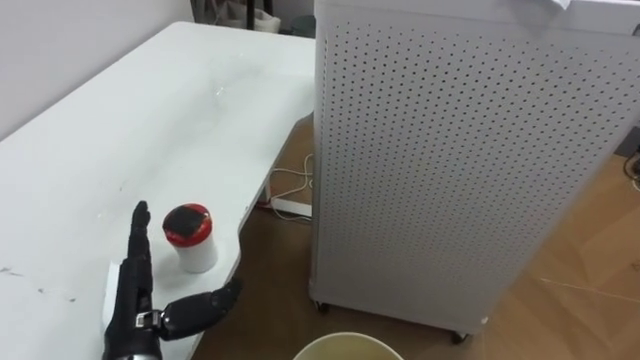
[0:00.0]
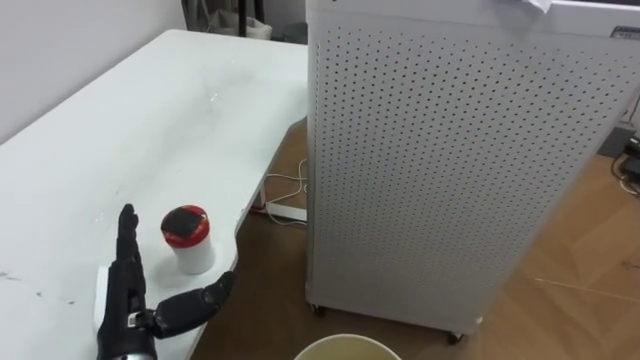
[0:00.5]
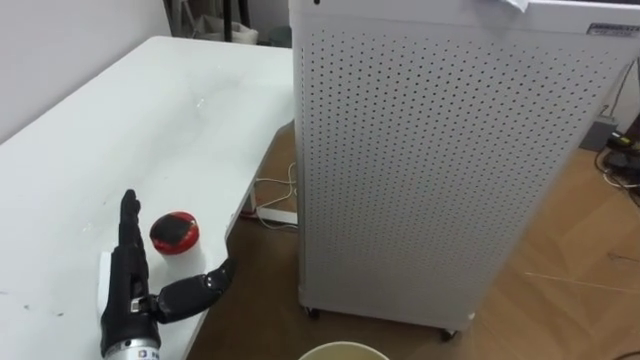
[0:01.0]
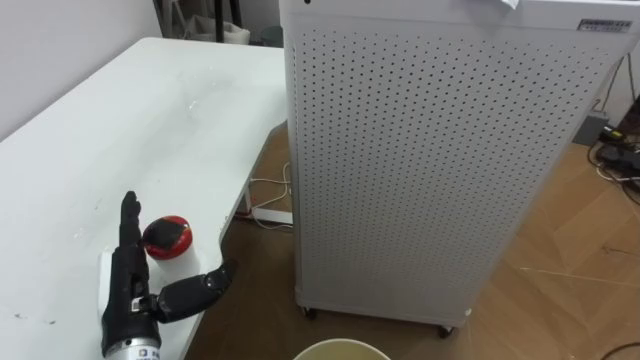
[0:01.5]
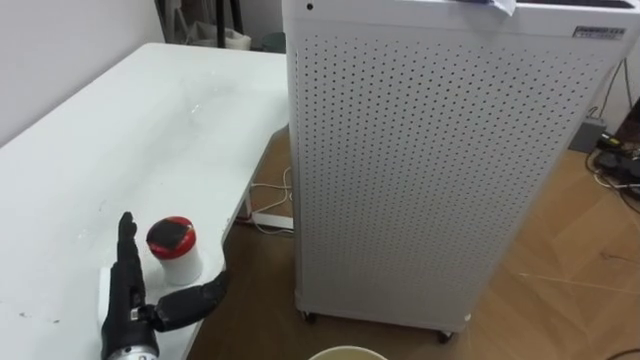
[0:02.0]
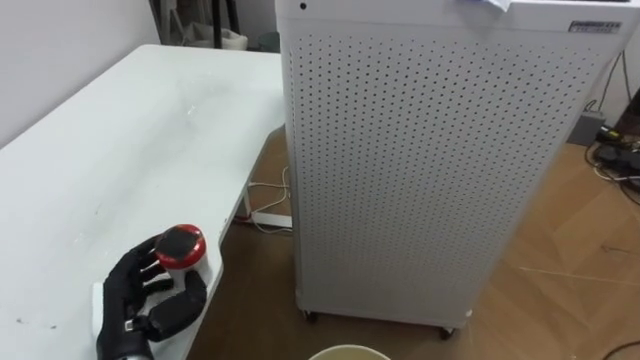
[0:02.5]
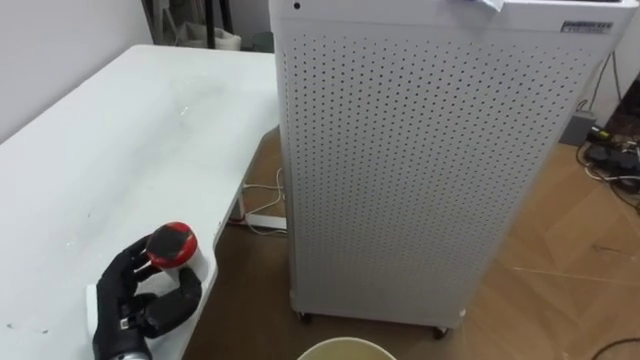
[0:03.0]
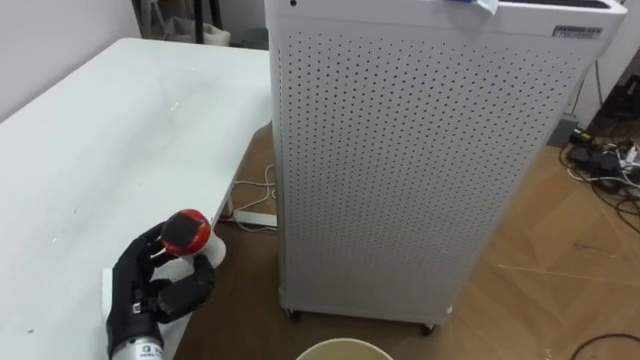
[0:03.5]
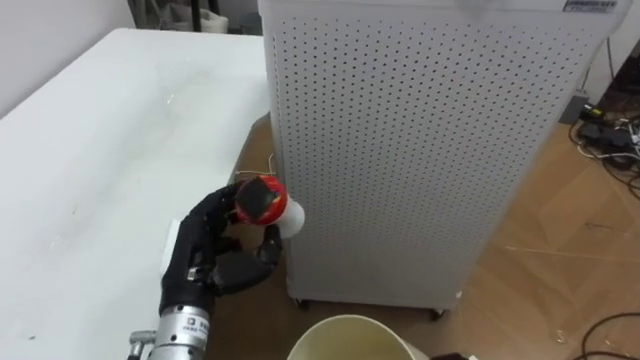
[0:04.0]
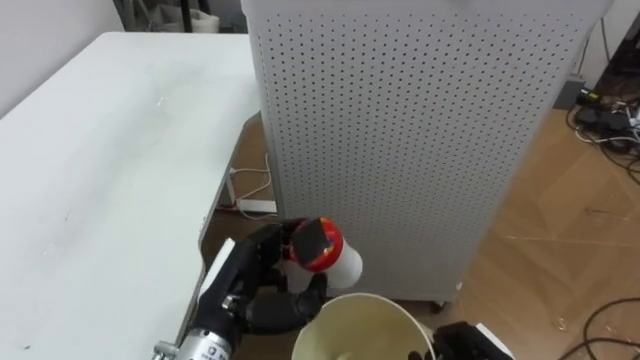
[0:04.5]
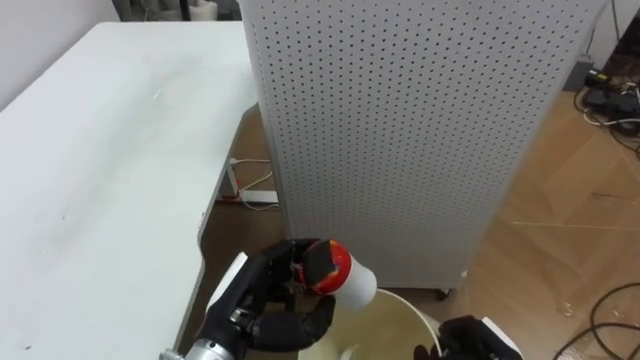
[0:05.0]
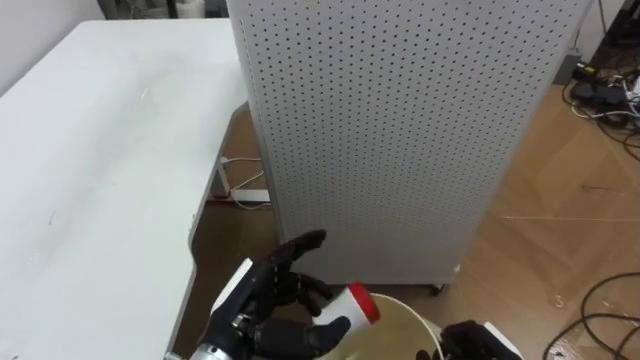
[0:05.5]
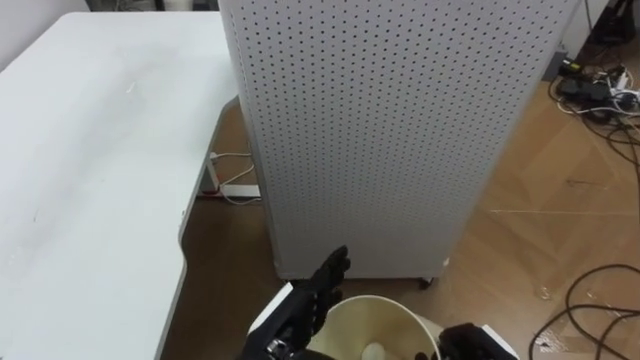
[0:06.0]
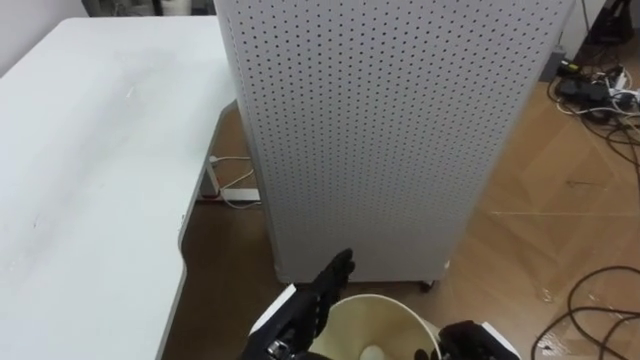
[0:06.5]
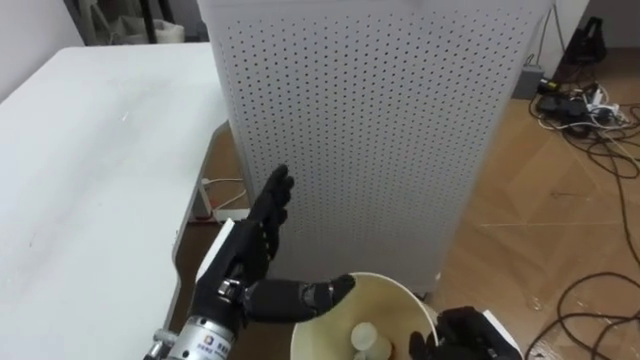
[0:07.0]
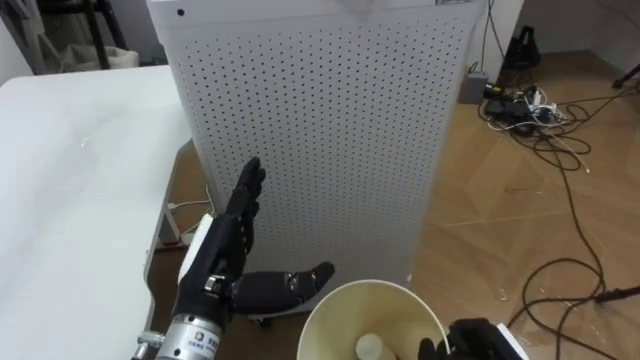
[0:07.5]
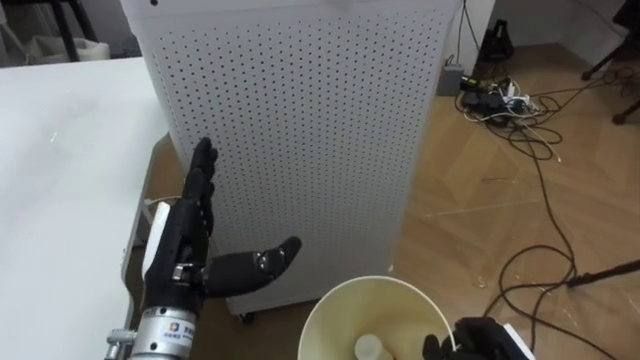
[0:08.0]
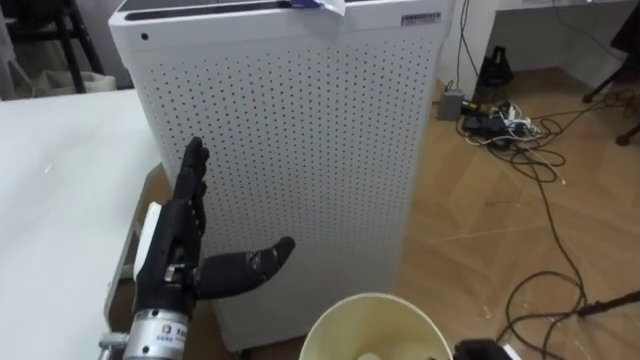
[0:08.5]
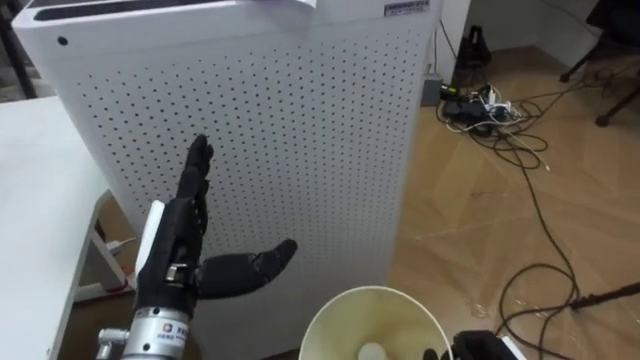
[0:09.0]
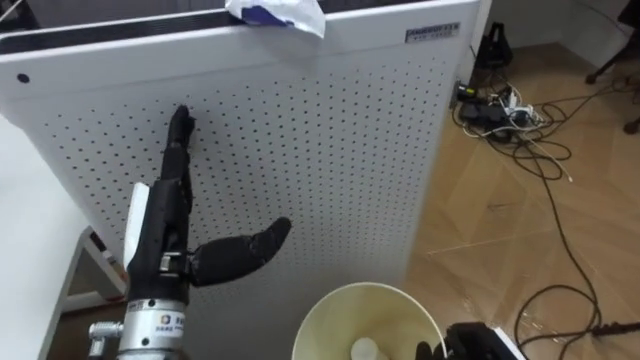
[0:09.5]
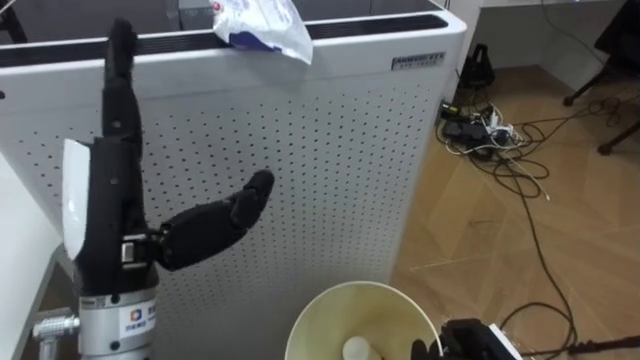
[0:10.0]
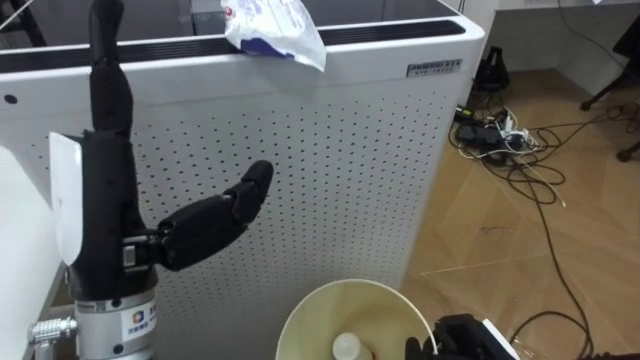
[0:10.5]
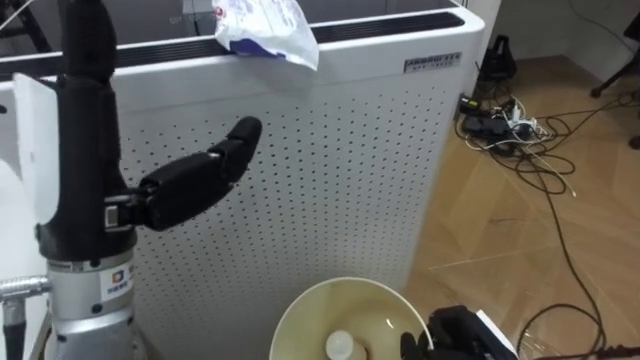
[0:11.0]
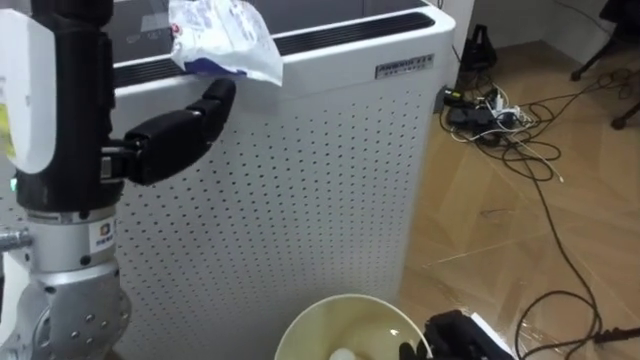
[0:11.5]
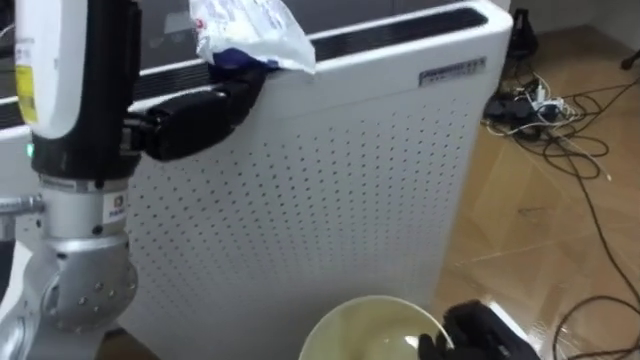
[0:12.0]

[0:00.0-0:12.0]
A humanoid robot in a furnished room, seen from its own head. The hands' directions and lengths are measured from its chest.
Task of the whole recording: Pick up the light blue package, the candy box, and the dark blue package separately, and put them into the trash can held in your right hand.
0:02.0 to 0:04.0: The left hand travels to the right by some 5 cm, and closes.
0:04.0 to 0:06.0: The left hand is displaced to the right and backward by some 10 cm, and opens up.
0:06.0 to 0:08.0: The robot turns to its right by some 15 degrees. The left hand goes approximately 15 cm to the left and upward.
0:08.0 to 0:10.0: The left hand moves upward, some 10 cm.
0:10.0 to 0:12.0: The left hand moves upward, approximately 10 cm.

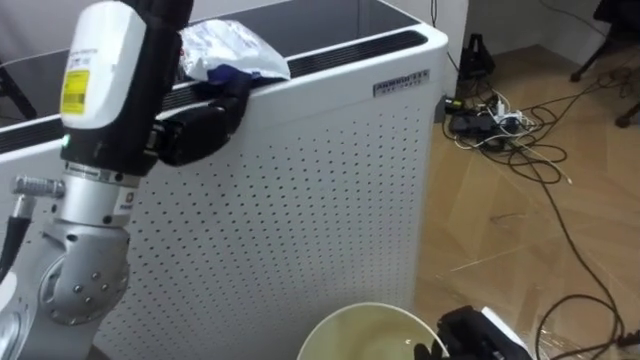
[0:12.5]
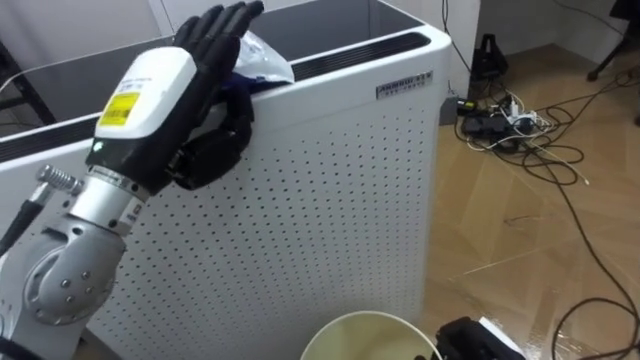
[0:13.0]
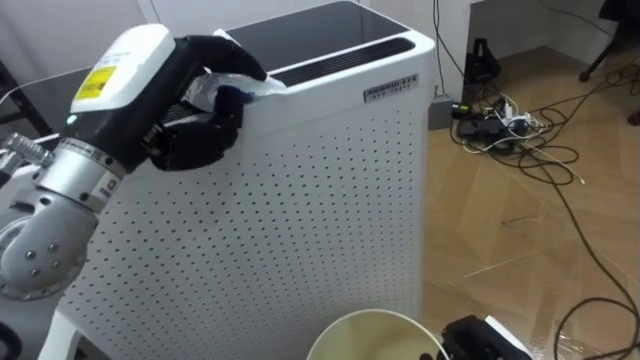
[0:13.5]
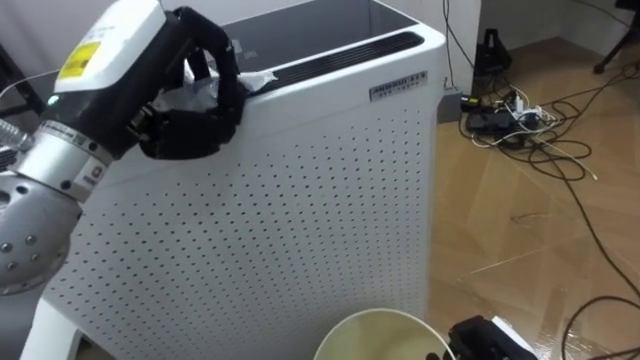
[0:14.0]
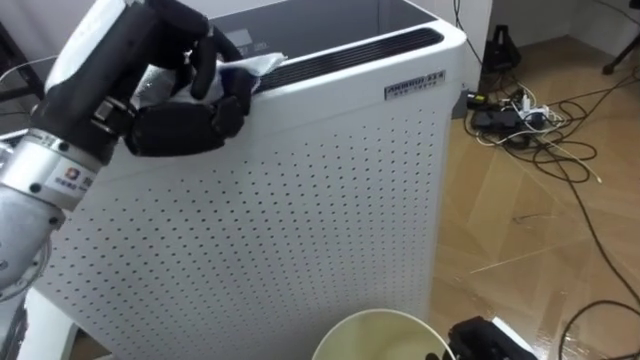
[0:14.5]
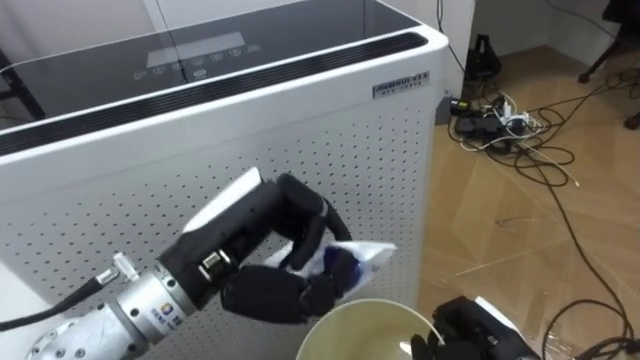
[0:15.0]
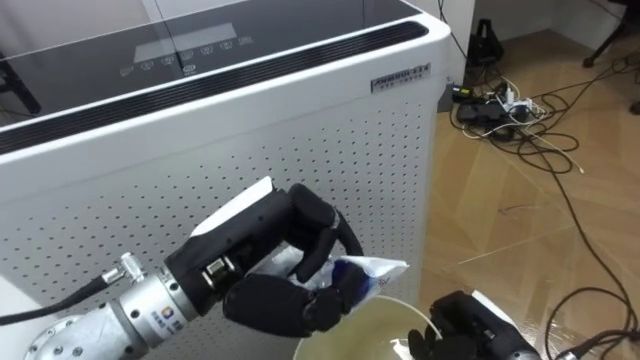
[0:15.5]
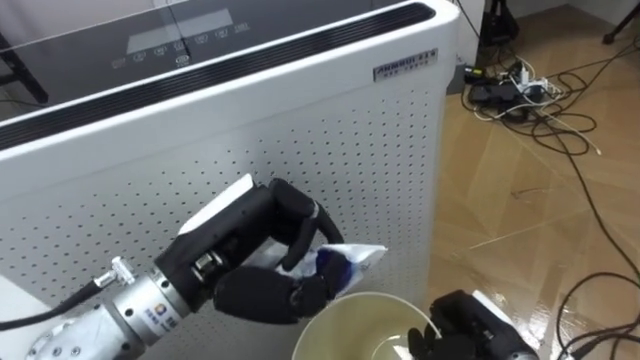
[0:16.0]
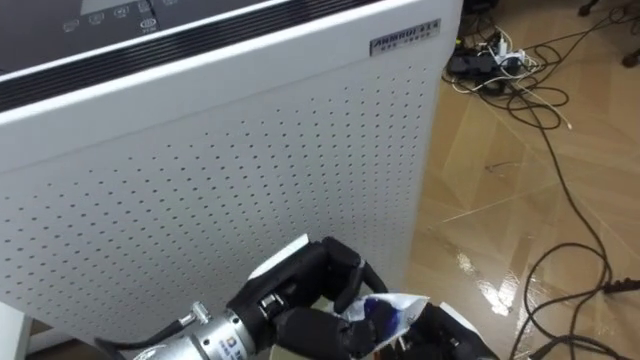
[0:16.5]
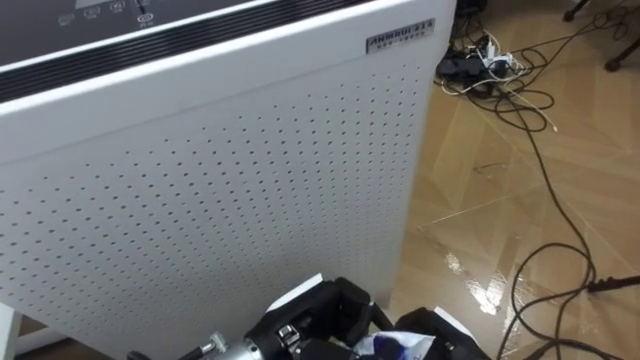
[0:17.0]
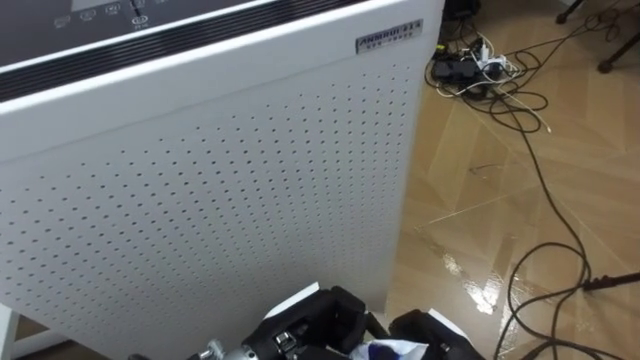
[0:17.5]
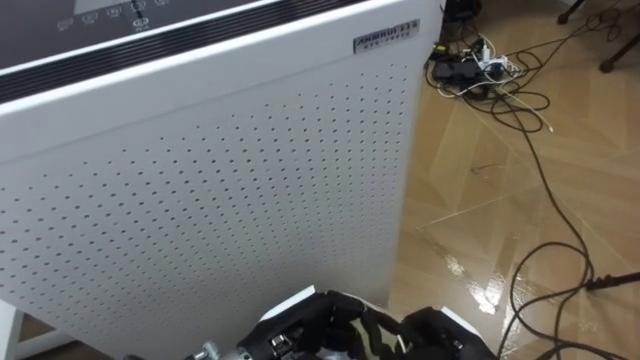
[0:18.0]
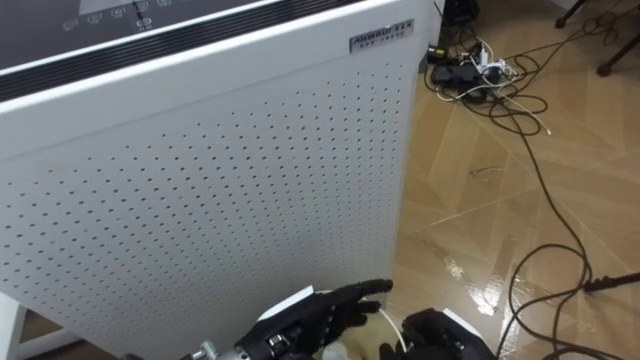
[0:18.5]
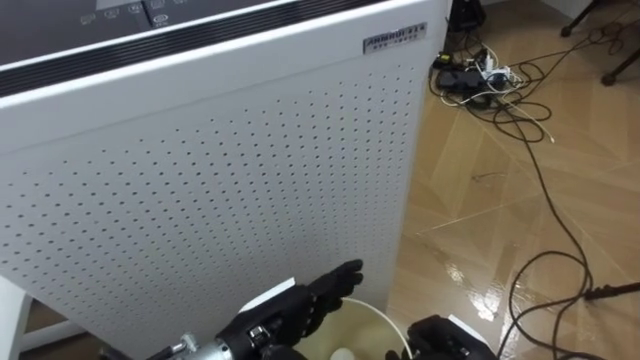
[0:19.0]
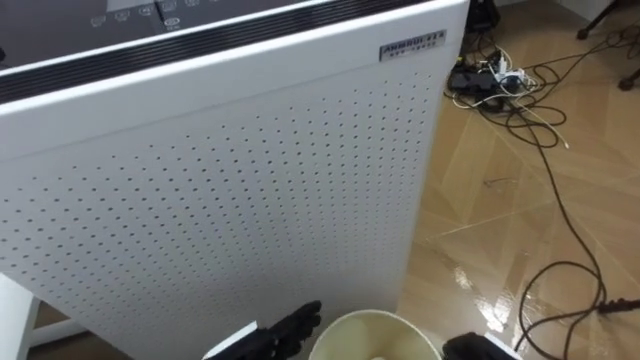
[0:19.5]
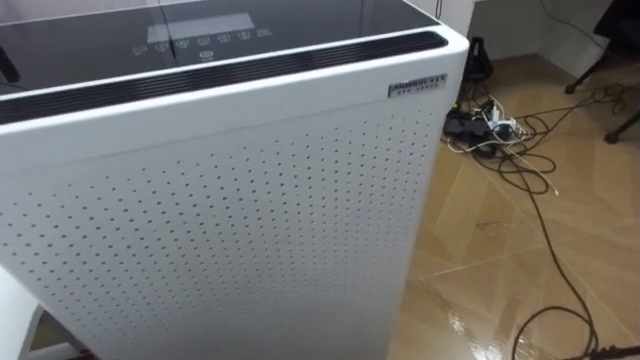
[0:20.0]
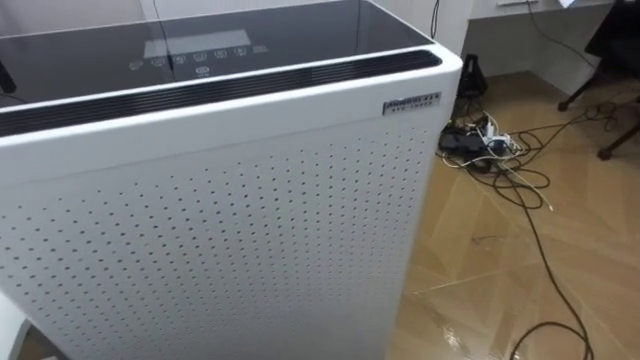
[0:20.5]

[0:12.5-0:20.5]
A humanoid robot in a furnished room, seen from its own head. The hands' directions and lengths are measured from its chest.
Task of the whole recording: Pick up the light blue package, the candy box, and the dark blue package separately, and put them into the trash can held in your right hand.
0:12.5 to 0:14.5: The left hand closes up.
0:14.5 to 0:16.5: The left hand shifts approximately 25 cm downward and to the right.
0:16.5 to 0:18.5: The left hand is displaced downward by approximately 5 cm, and opens up.
